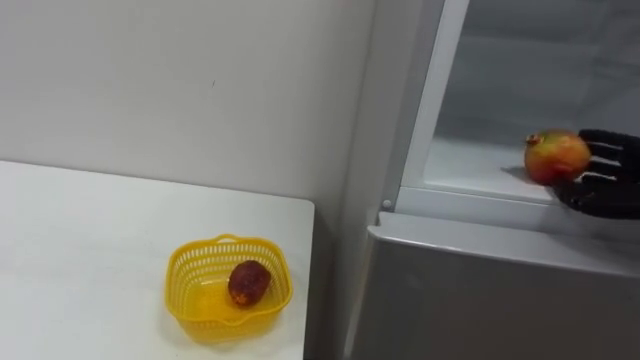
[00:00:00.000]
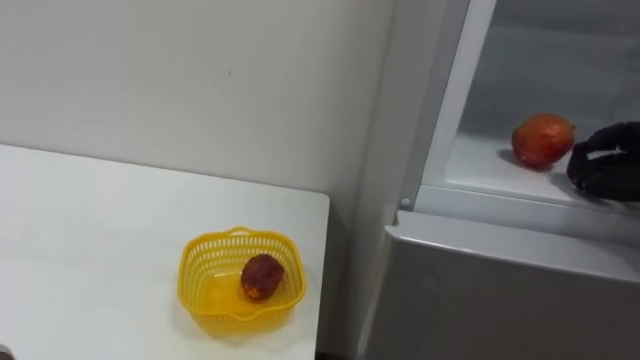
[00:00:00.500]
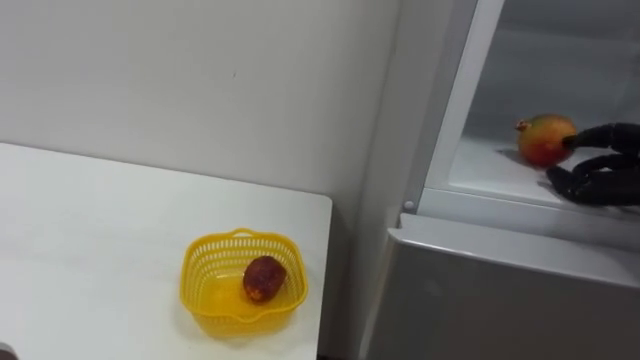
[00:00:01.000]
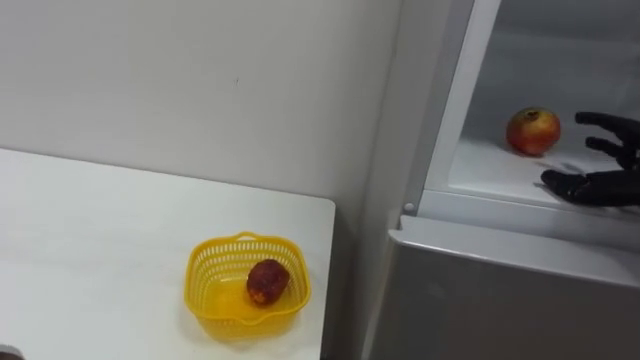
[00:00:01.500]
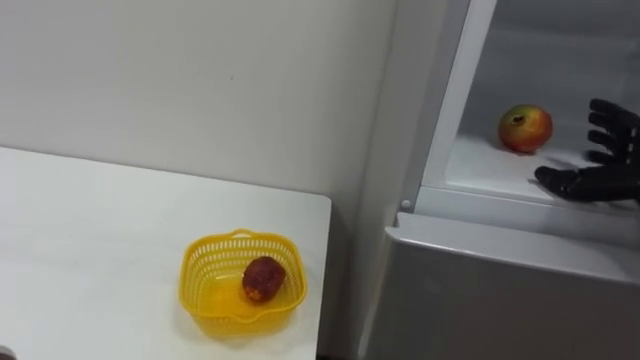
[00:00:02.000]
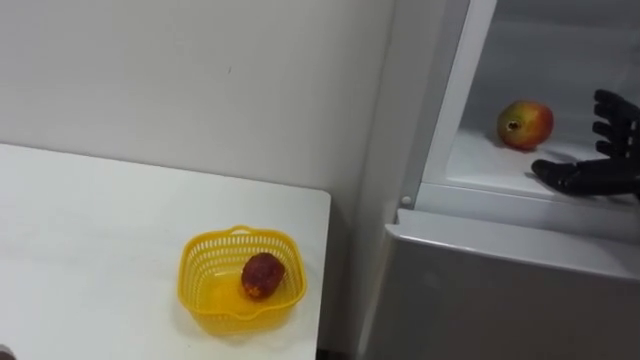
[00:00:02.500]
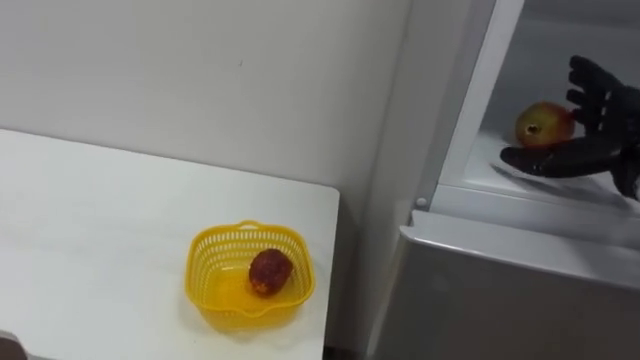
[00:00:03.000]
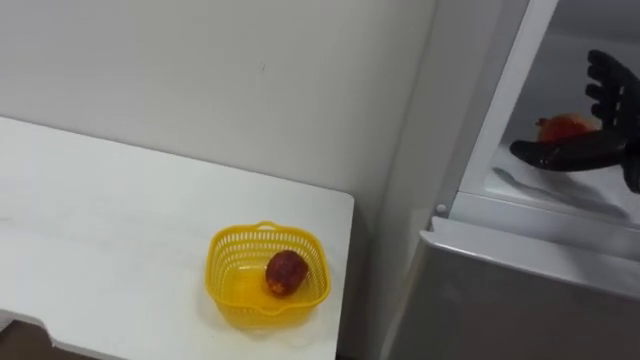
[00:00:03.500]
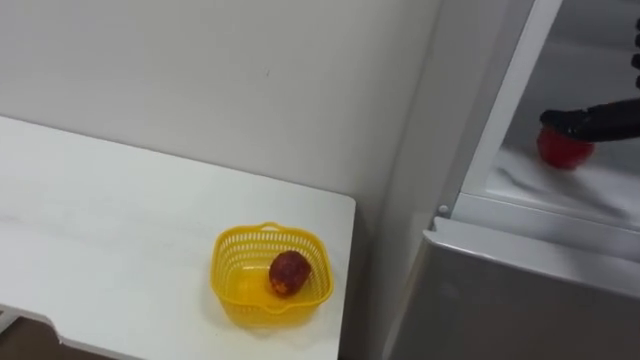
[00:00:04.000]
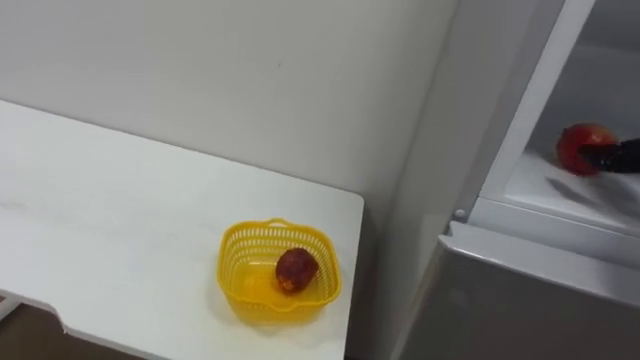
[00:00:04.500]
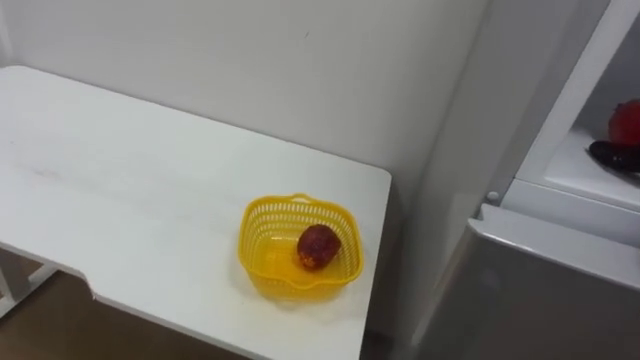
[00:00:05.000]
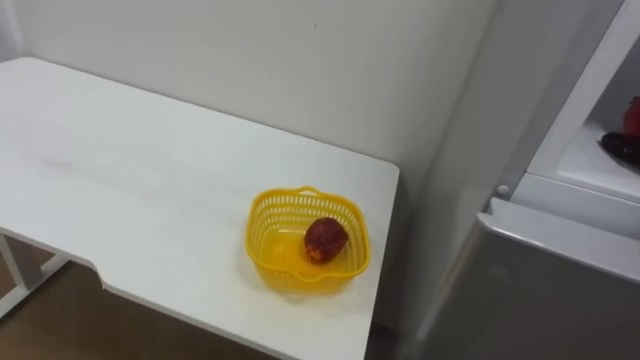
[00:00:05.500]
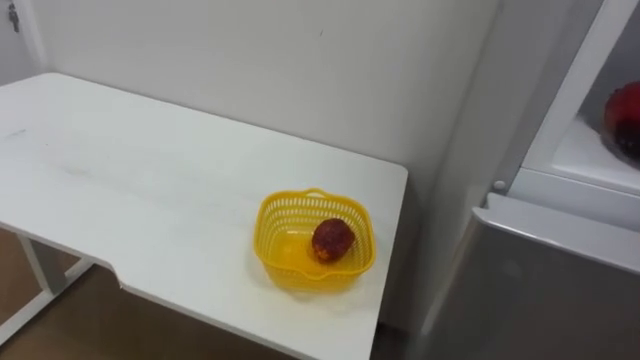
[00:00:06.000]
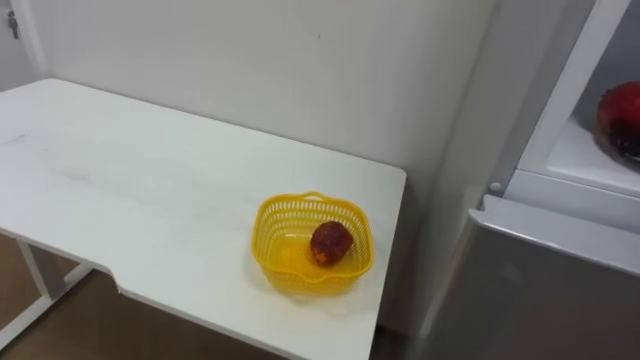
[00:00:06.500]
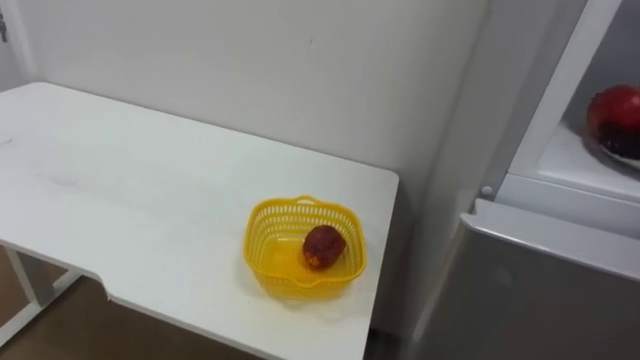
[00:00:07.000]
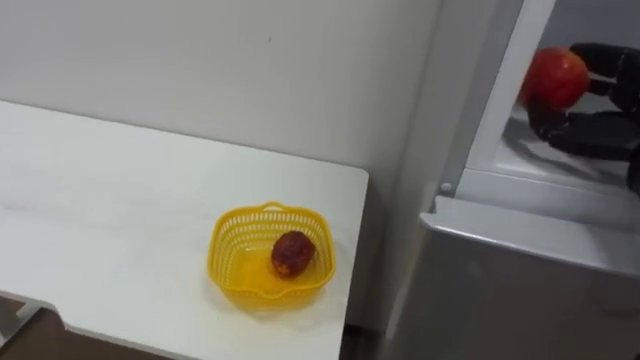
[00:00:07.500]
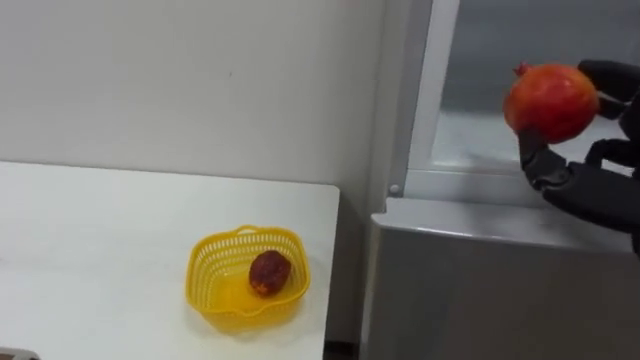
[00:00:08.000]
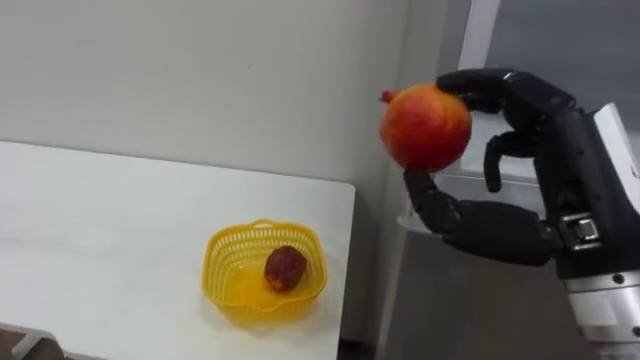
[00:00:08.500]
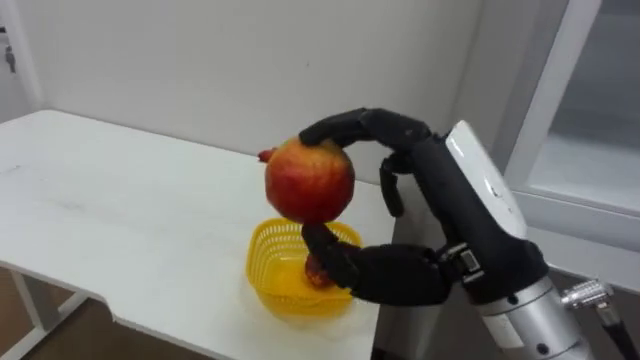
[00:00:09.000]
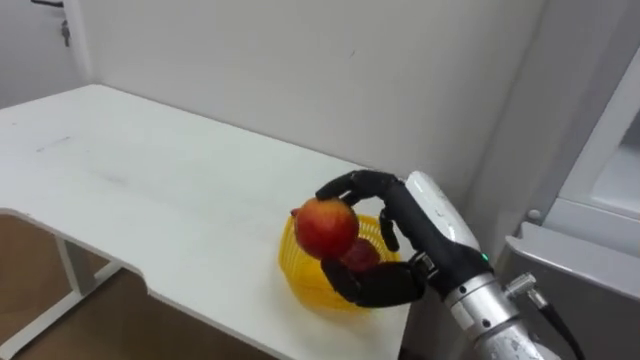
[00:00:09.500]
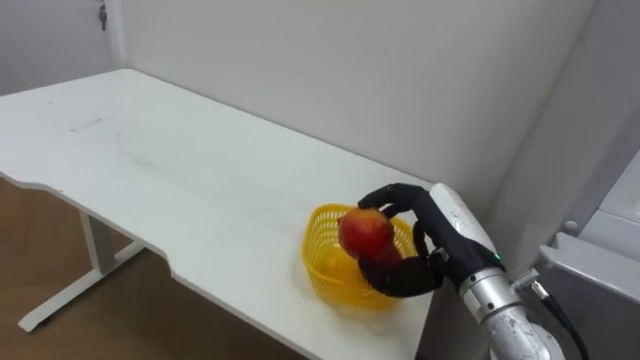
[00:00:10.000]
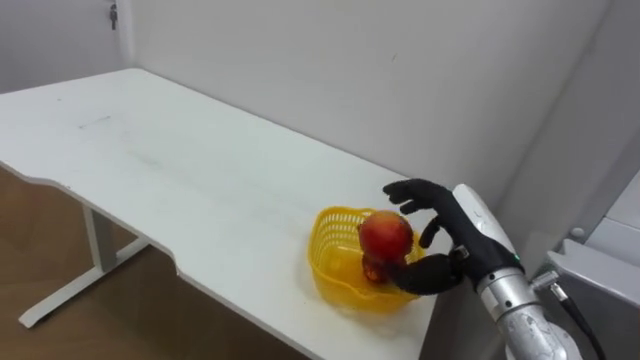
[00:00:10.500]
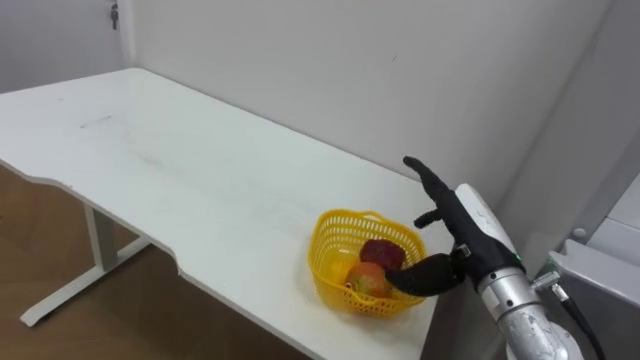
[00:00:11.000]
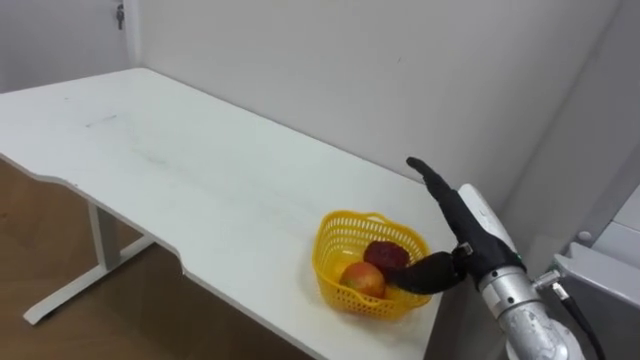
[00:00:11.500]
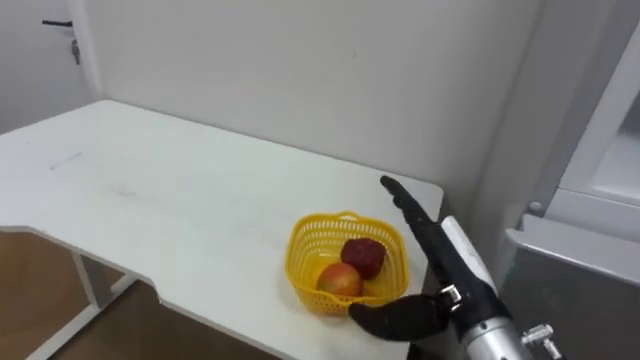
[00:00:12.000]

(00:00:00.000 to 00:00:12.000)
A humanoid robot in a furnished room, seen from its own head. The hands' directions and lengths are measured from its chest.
Task of the whole recording: Open the refrigerator door, take out the apple and the pomegranate, place them in the fruit basket on the left, and close the refrigerator door.
00:00:10.000 - 00:00:12.000: The right hand opens its fingers.

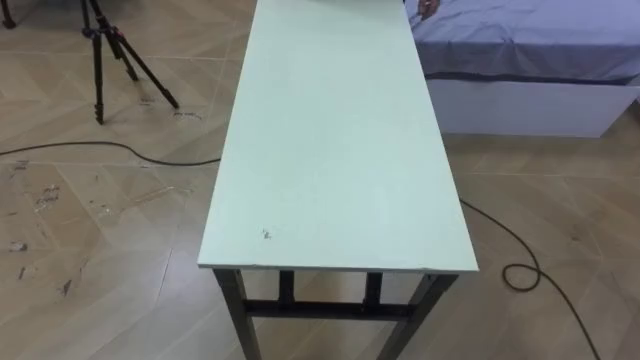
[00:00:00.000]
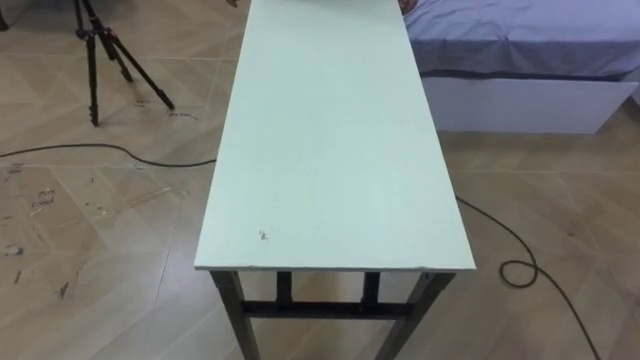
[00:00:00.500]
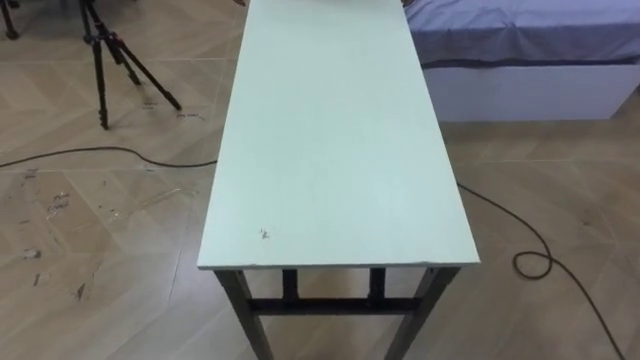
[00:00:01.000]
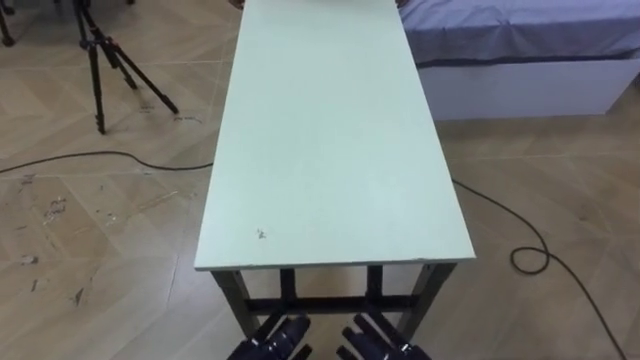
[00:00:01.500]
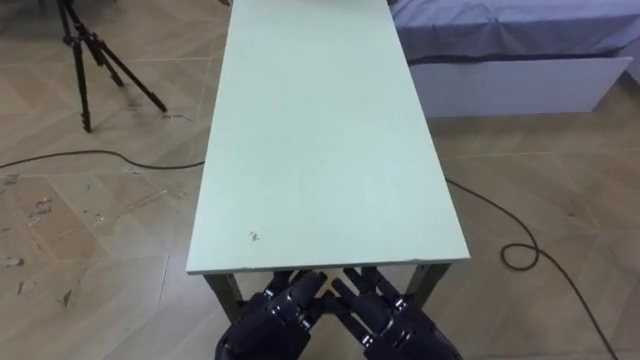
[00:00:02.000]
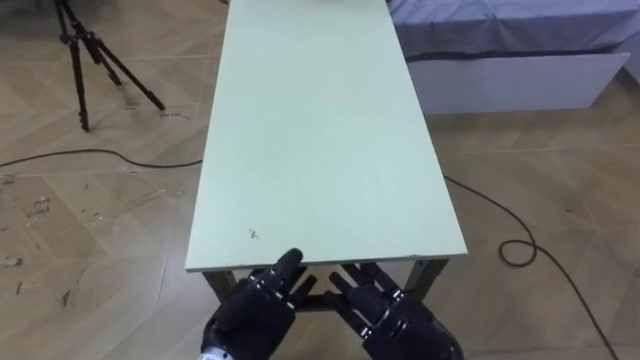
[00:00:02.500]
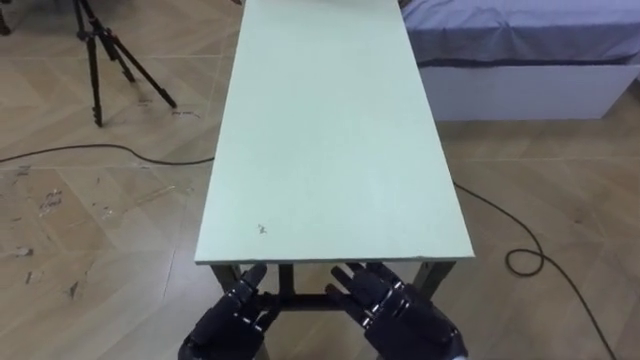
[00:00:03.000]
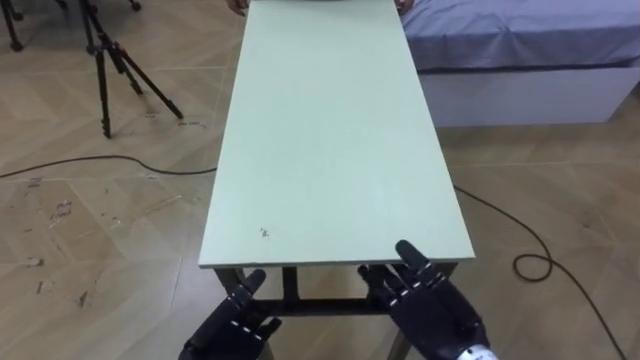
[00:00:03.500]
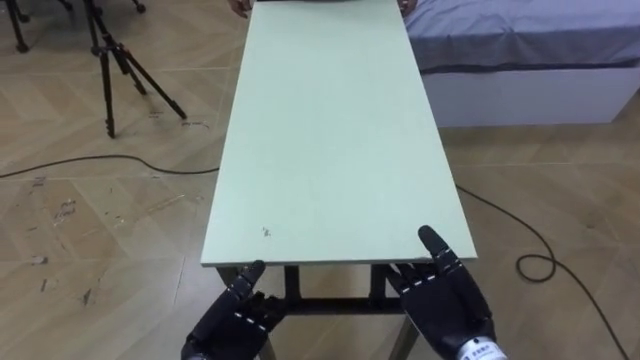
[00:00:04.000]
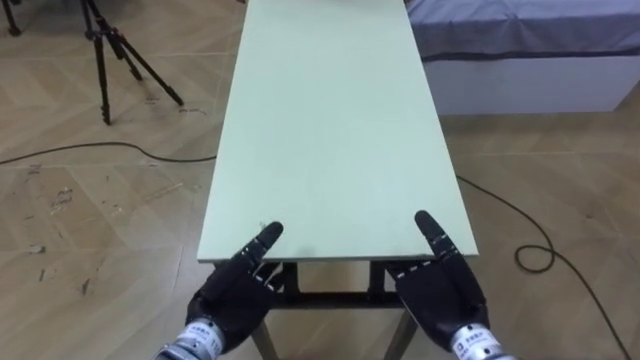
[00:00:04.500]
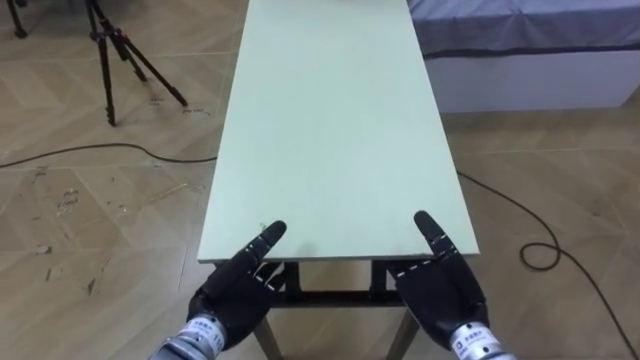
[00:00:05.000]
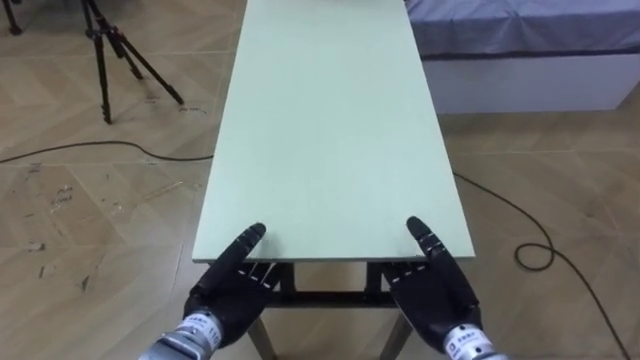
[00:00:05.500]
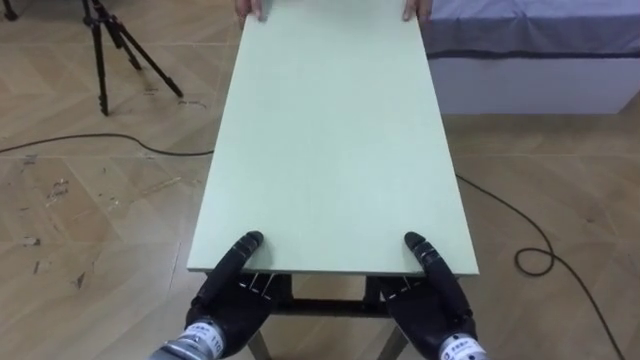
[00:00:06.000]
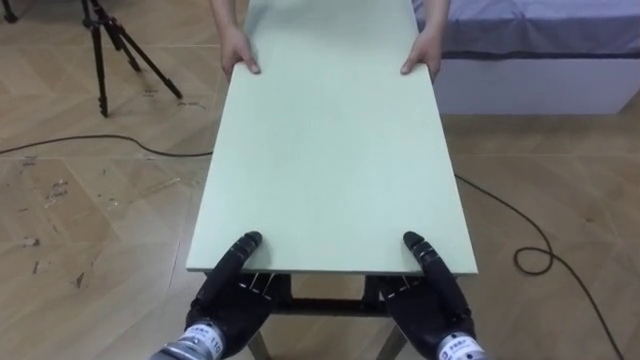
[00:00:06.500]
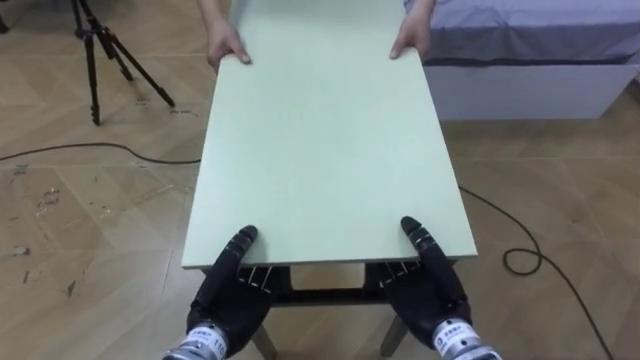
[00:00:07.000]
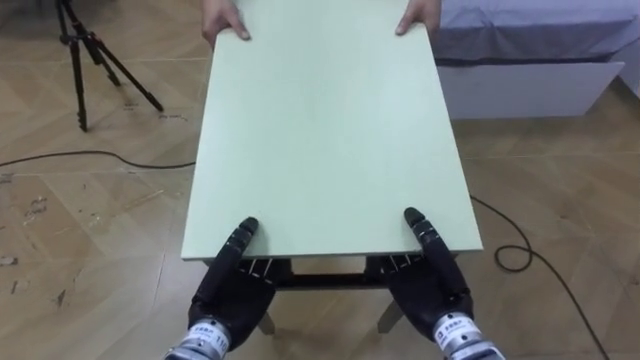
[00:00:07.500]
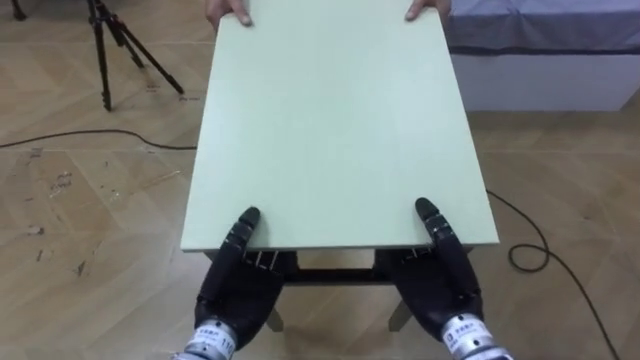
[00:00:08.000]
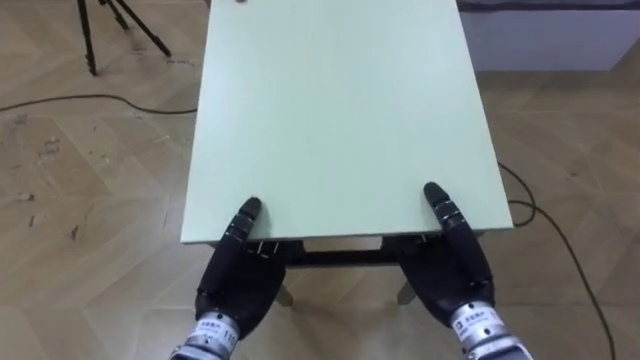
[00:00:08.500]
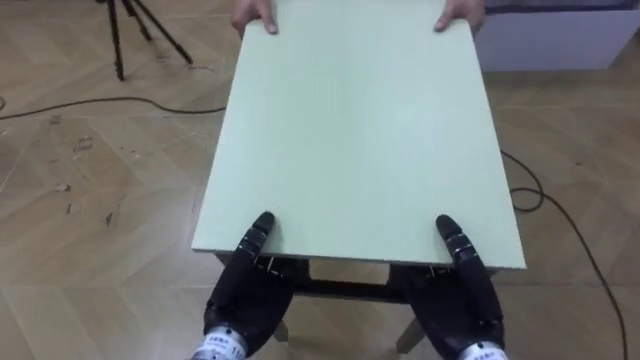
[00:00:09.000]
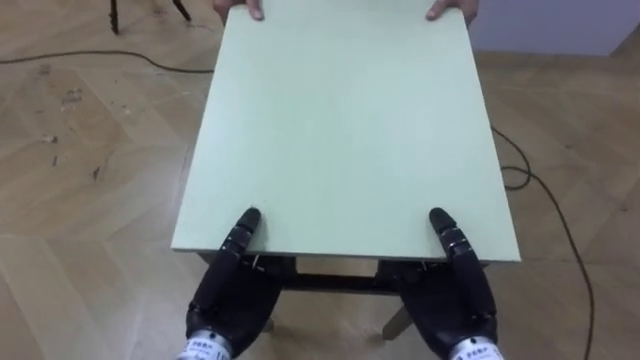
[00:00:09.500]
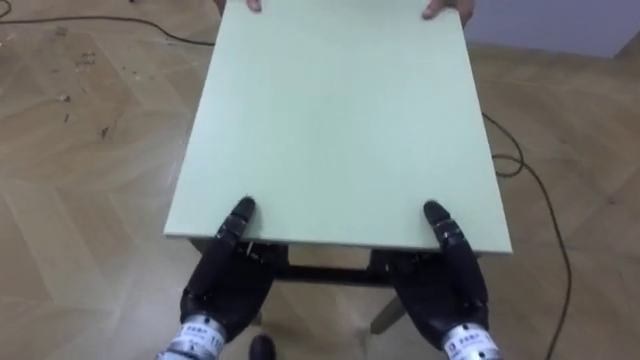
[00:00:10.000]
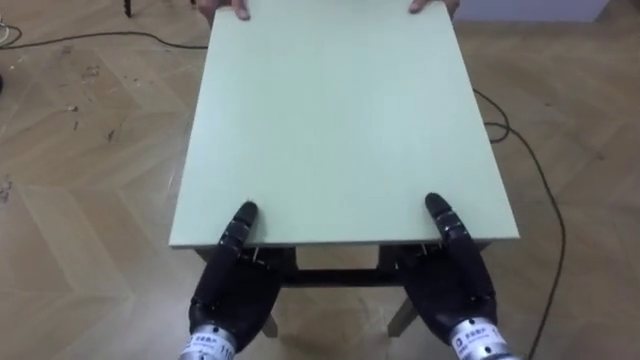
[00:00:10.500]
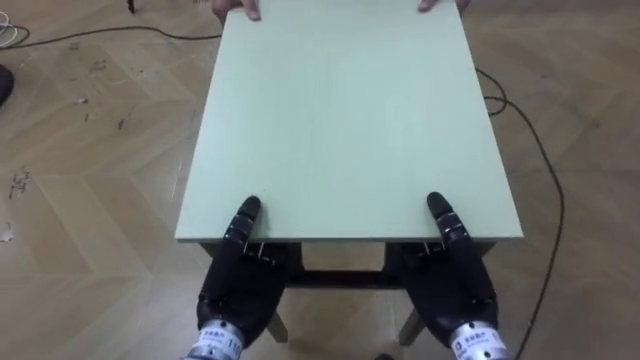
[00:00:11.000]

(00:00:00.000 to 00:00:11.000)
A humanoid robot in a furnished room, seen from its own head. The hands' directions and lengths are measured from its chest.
Task of the whole recording: Move the table to the back left with someone.
00:00:02.000 - 00:00:03.500: The right hand ends up about 5 cm from where it was, while the left hand moves downward and to the left, some 10 cm.
00:00:03.500 - 00:00:05.500: The left hand goes some 5 cm upward, and closes up.
